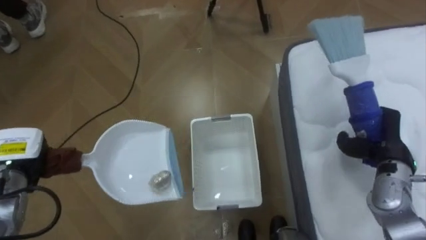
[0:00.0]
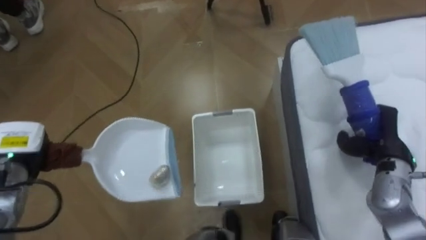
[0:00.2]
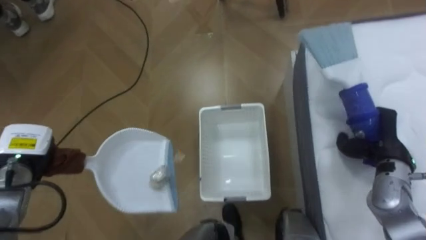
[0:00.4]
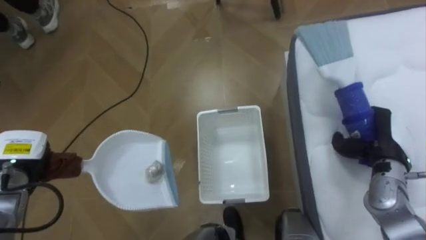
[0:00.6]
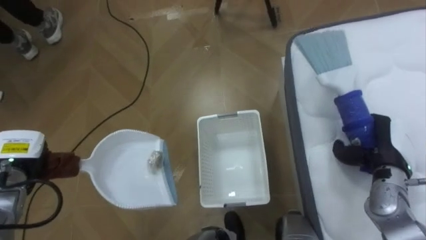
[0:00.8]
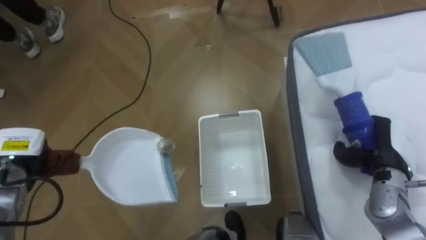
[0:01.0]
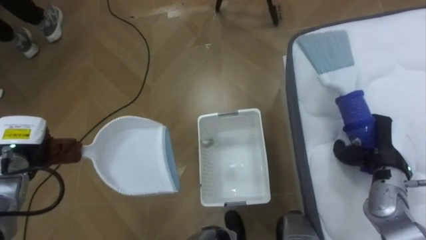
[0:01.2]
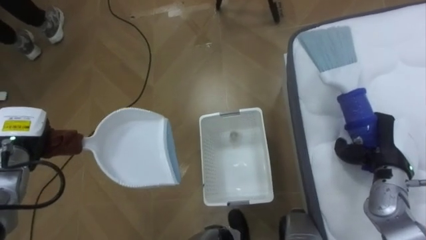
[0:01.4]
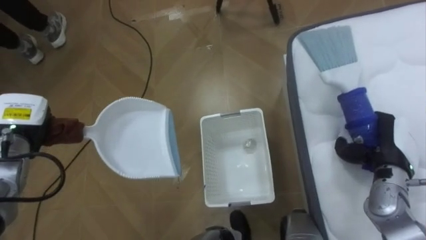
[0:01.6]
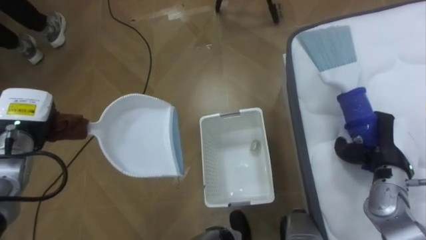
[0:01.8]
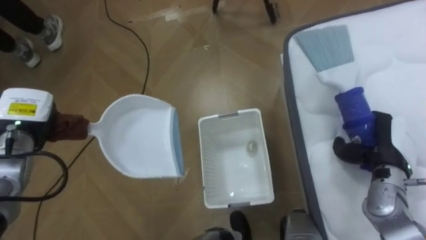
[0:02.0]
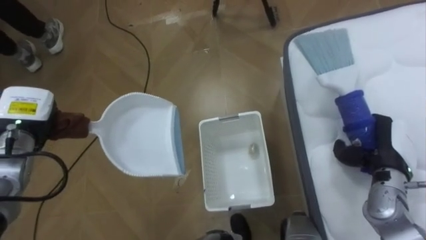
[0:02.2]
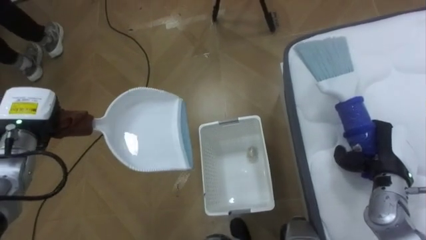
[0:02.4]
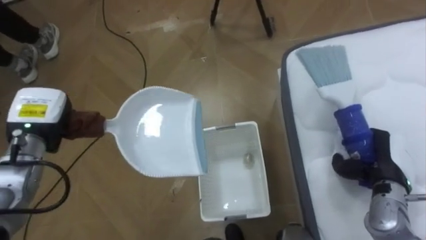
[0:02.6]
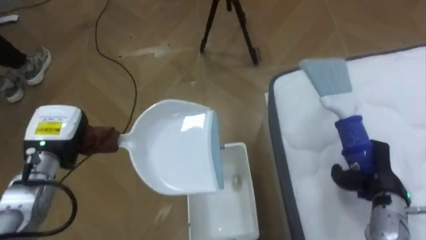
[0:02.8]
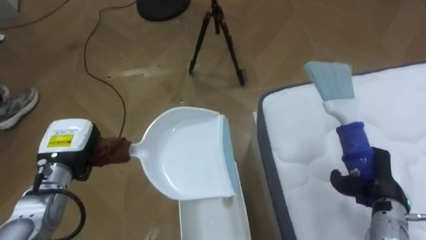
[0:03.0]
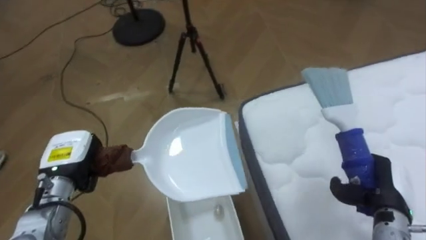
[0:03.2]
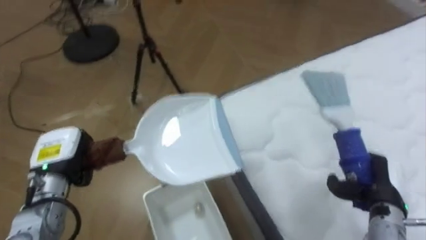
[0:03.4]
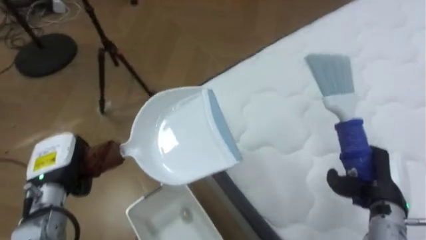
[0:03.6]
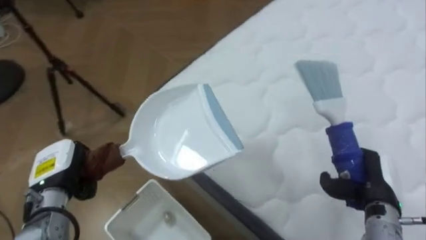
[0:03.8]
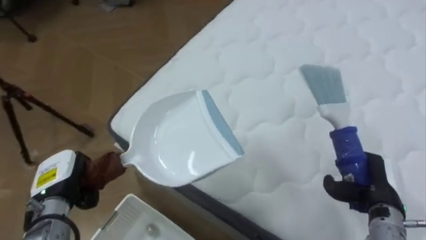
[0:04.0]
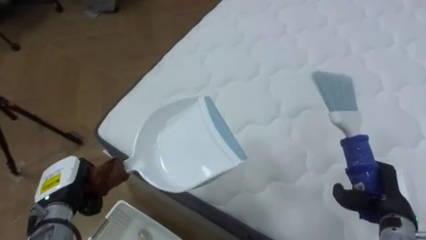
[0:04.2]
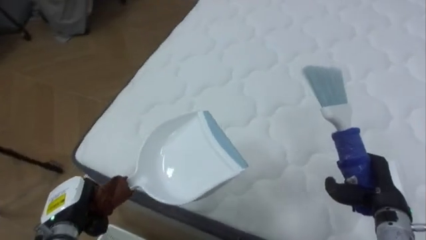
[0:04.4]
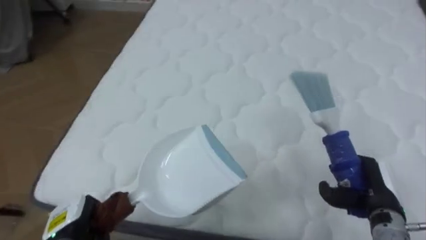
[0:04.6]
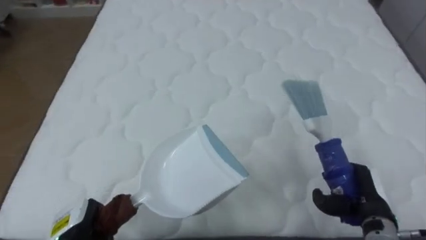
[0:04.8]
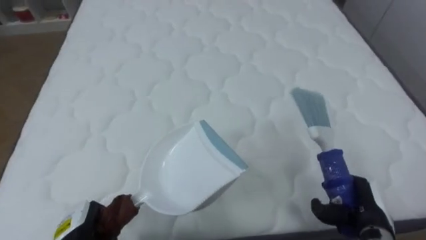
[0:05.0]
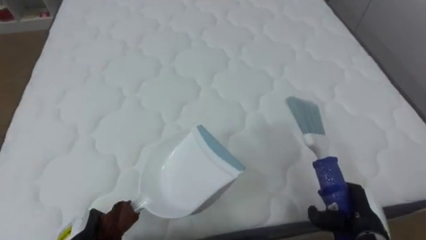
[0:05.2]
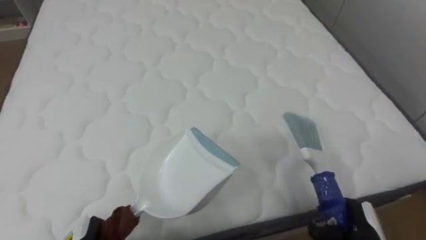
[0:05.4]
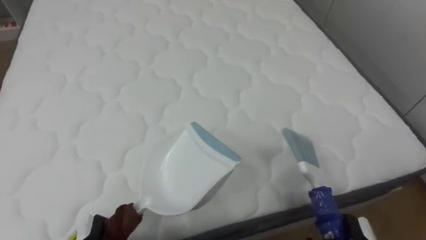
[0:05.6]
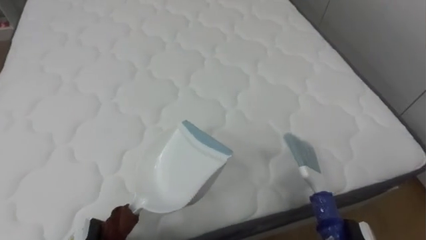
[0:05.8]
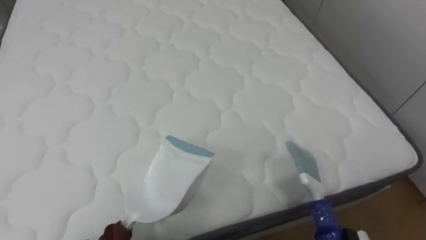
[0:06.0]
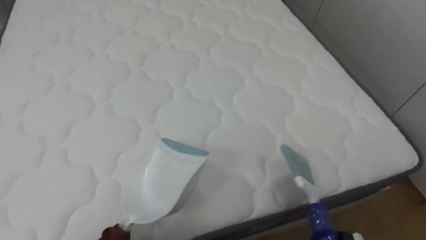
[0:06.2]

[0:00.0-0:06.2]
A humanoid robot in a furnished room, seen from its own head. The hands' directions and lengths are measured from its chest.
Task of the whole recording: Pick up the brush on your right and the dustpan on your left. Use the brush to sweep the crumpled paper on the bed into the dustpan, then turn left and empty it into the basket.
0:00.0 to 0:01.6: The left hand shifts by roughly 5 cm.
0:01.6 to 0:03.2: The robot rotates approximately 20 degrees to its right. The right hand travels backward by approximately 5 cm, while the left hand is displaced to the right and backward by about 10 cm.
0:03.2 to 0:04.6: The robot faces approximately 65 degrees further to its right. The left hand moves backward and downward, some 15 cm.
0:04.6 to 0:06.2: The robot's body swings some 25 degrees to its right.

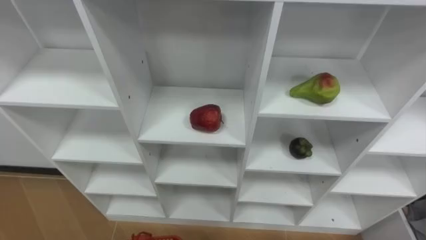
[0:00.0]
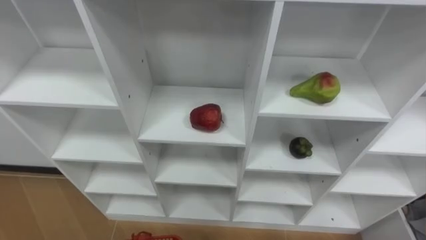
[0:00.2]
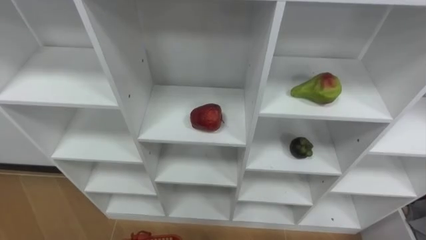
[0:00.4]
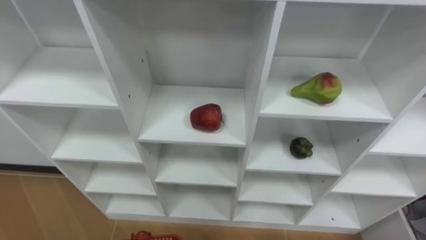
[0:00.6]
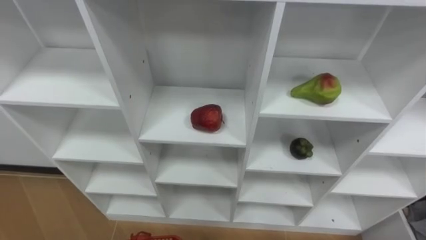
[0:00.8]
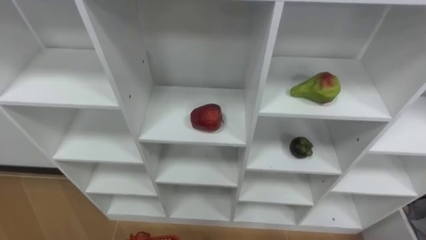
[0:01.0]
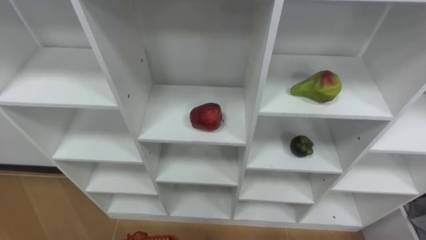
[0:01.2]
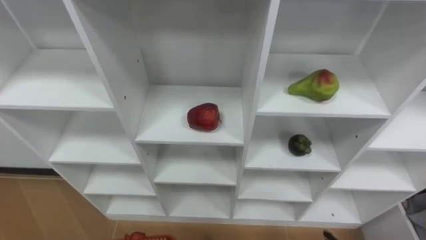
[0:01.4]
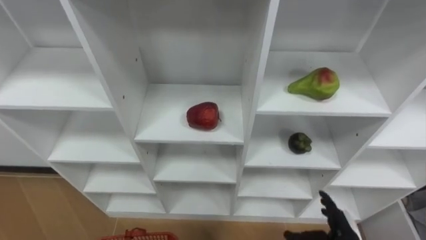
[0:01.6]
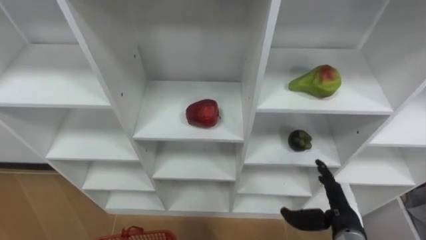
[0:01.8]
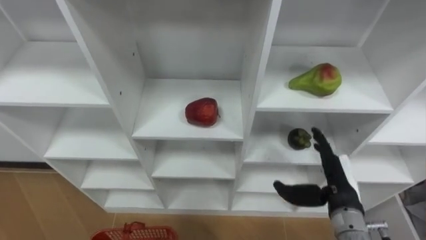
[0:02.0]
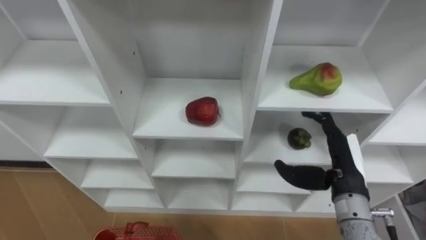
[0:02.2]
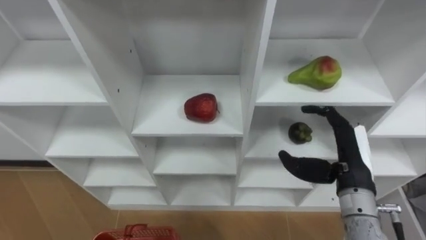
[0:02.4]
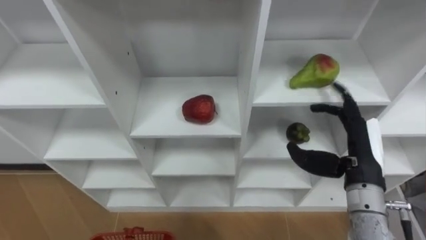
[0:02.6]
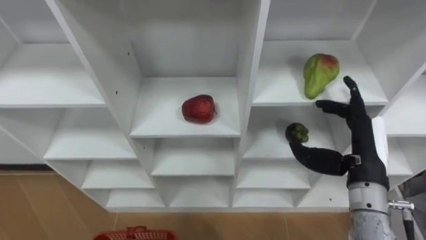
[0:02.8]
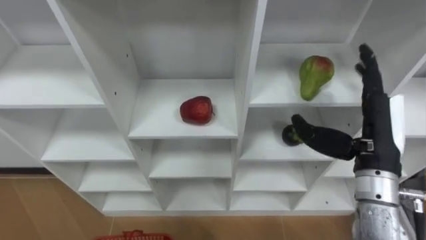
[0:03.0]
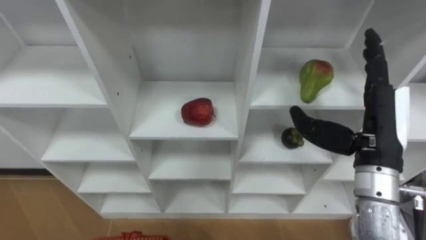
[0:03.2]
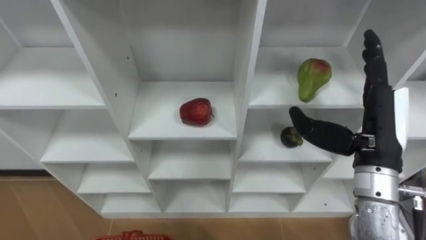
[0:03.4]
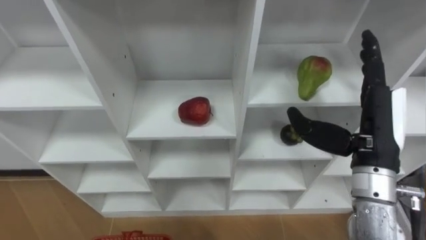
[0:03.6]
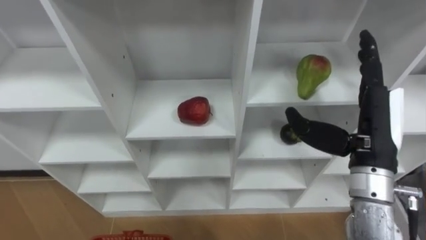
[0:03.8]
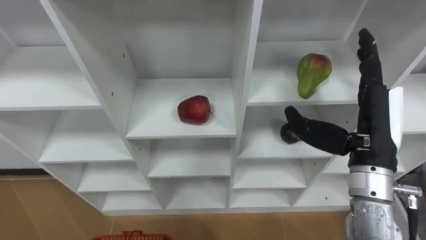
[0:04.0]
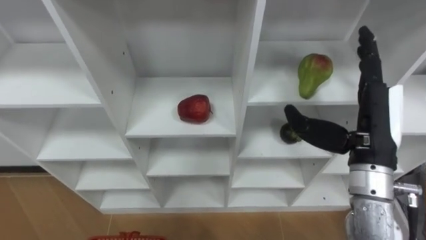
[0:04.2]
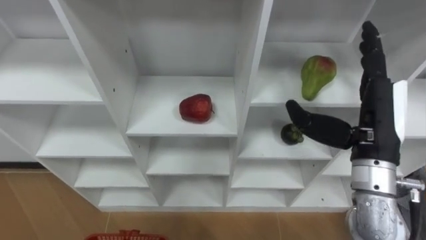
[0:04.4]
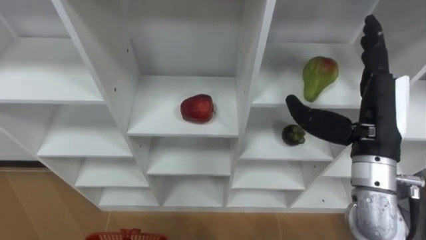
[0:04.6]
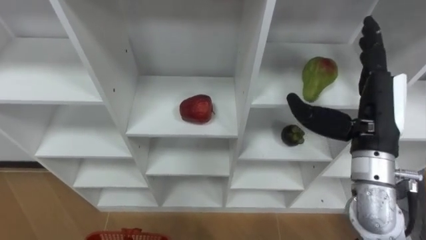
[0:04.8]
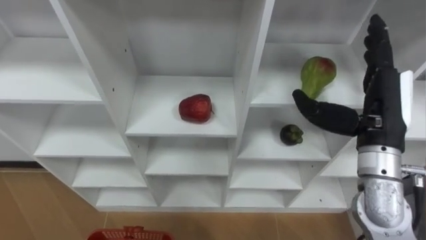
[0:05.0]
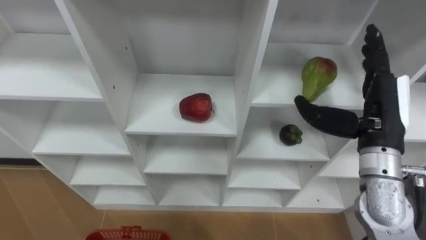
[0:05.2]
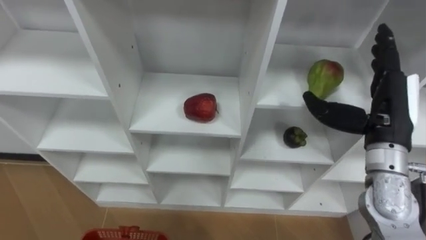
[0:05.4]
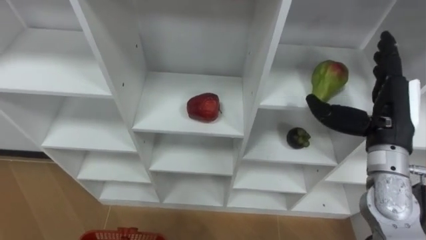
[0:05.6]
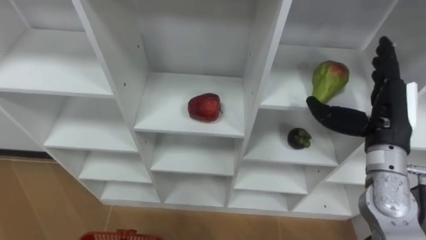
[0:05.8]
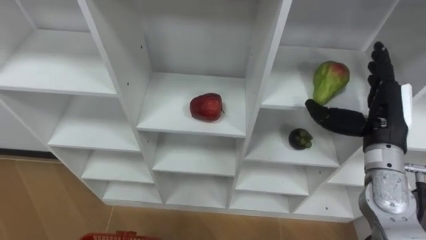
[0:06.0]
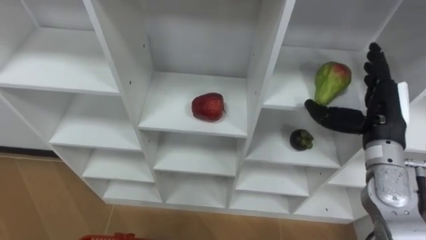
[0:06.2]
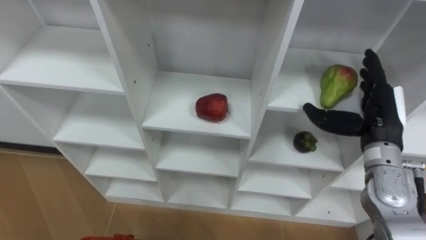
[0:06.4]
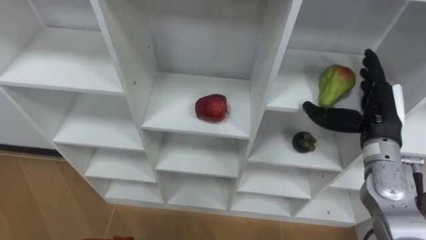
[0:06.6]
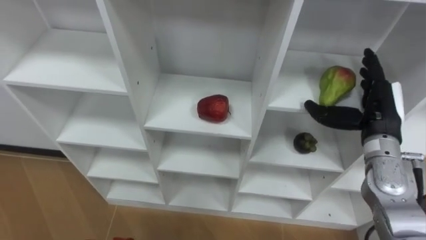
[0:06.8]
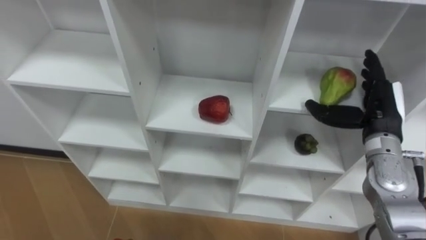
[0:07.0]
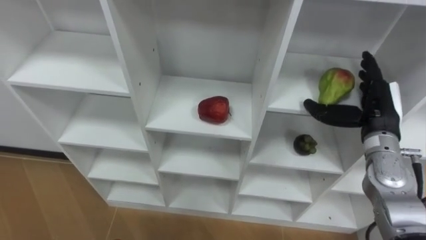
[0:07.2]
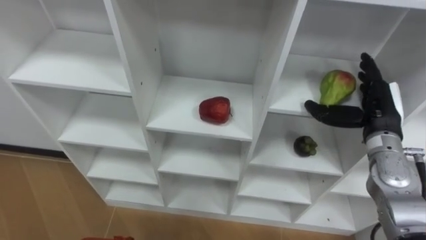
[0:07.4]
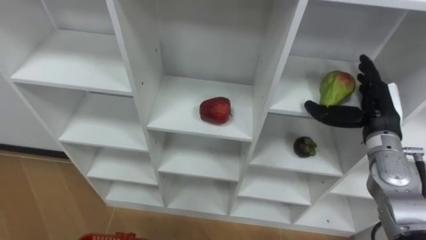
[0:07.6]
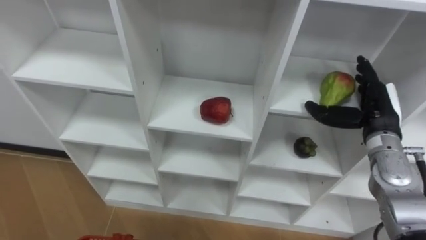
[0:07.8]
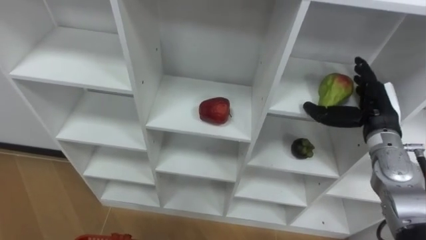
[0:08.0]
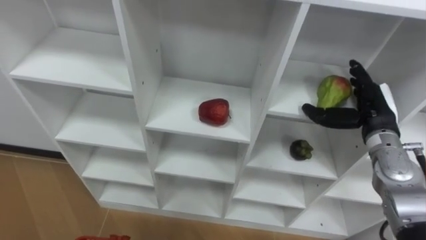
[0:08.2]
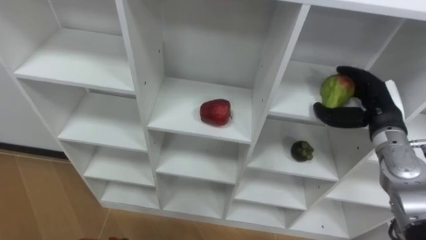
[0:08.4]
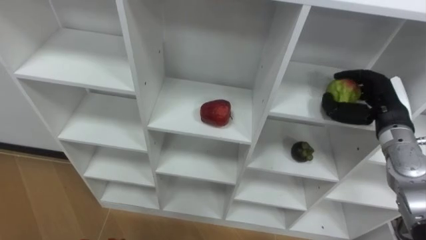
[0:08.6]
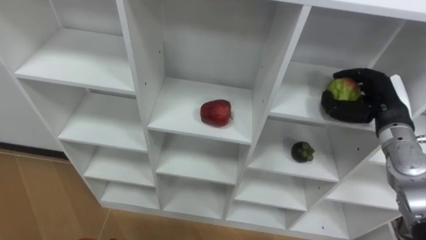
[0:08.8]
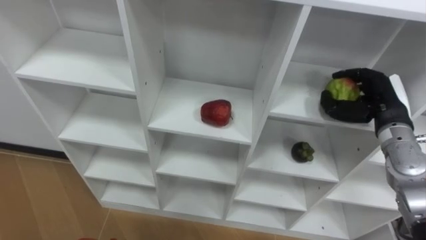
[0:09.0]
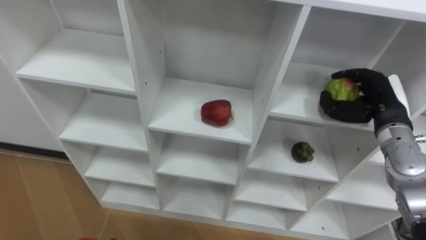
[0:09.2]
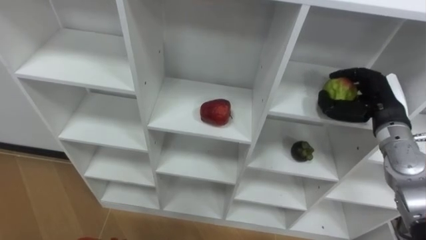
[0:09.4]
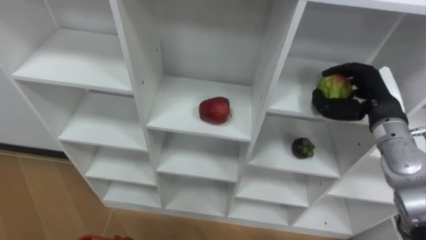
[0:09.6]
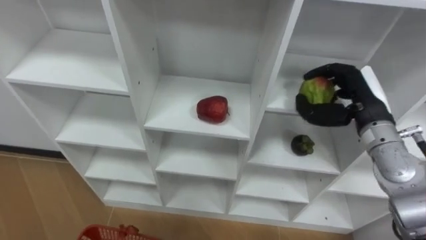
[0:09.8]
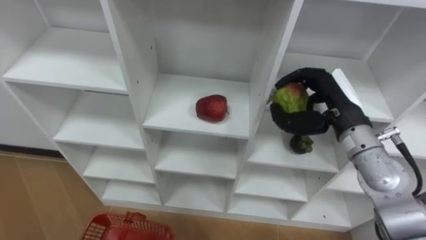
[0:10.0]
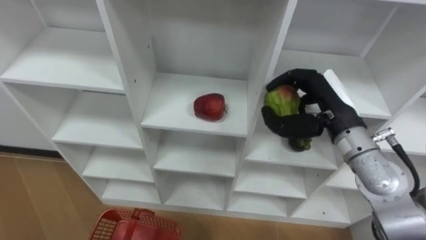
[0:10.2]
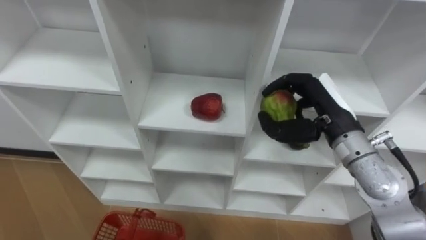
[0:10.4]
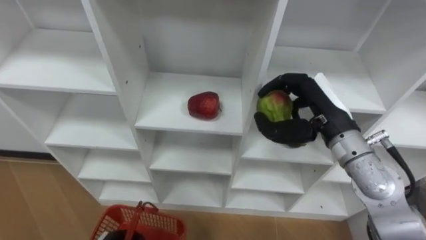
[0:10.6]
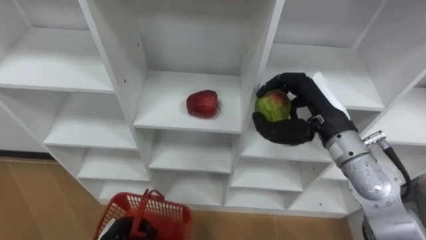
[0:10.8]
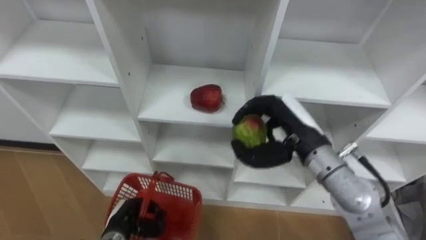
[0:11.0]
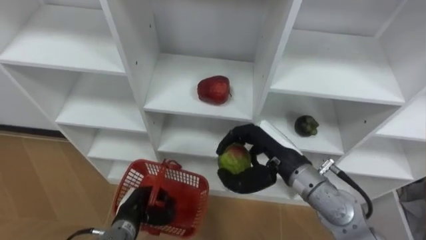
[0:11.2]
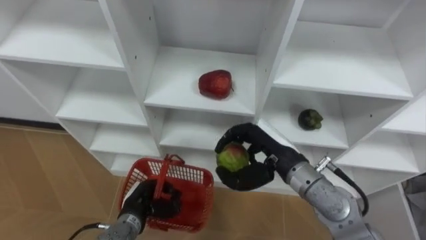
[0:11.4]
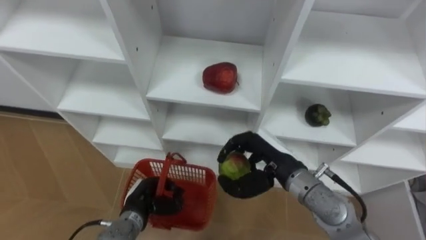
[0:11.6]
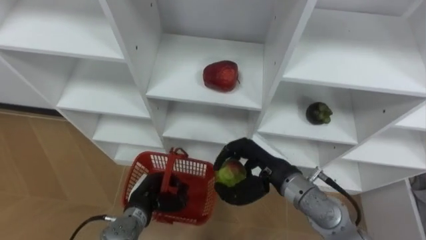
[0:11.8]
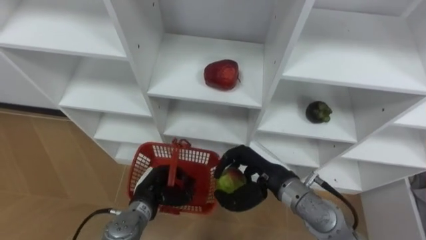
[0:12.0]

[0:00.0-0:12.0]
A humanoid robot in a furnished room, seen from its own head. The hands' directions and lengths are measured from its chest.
Task of the whole recording: Hold the basket and collect the fruits from 3 different cells of the closet into it.
0:01.6 to 0:03.0: The right hand is displaced upward by roughly 25 cm.
0:04.4 to 0:06.0: The right hand shifts by some 10 cm.
0:06.0 to 0:07.6: The right hand moves some 5 cm.
0:07.6 to 0:09.0: The right hand closes its fingers.
0:09.0 to 0:10.4: The right hand shifts approximately 10 cm to the left.
0:10.4 to 0:12.0: The right hand shifts roughly 15 cm downward and to the left.
